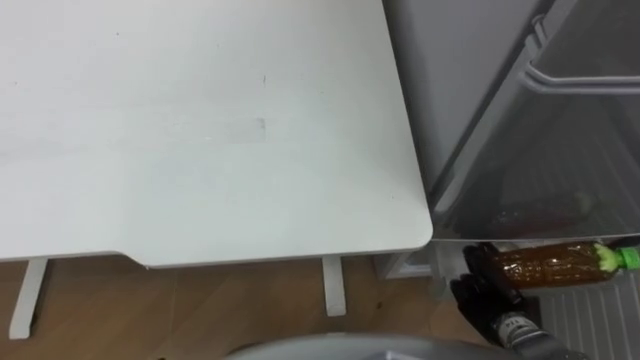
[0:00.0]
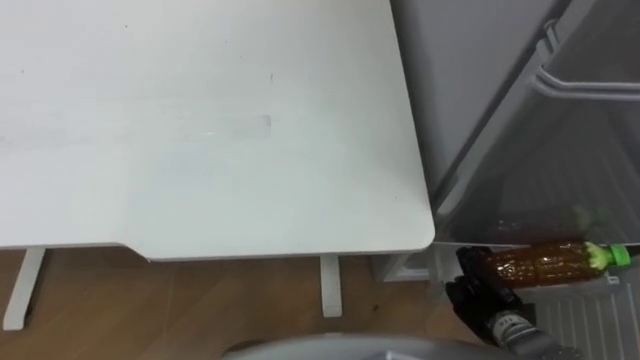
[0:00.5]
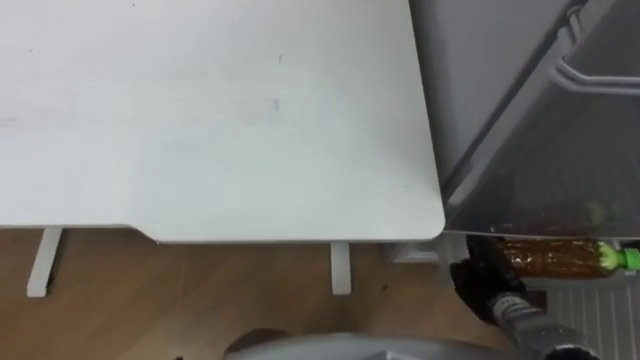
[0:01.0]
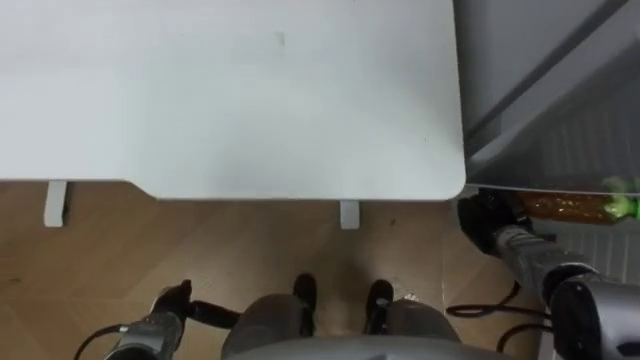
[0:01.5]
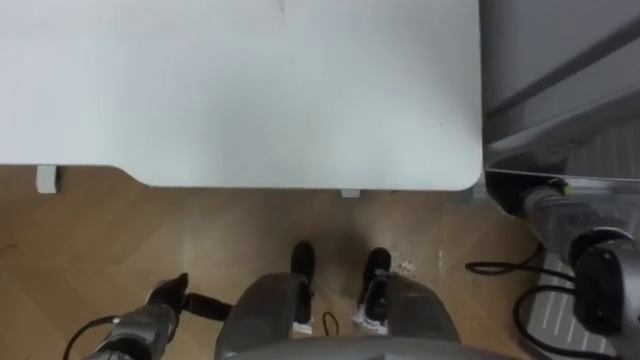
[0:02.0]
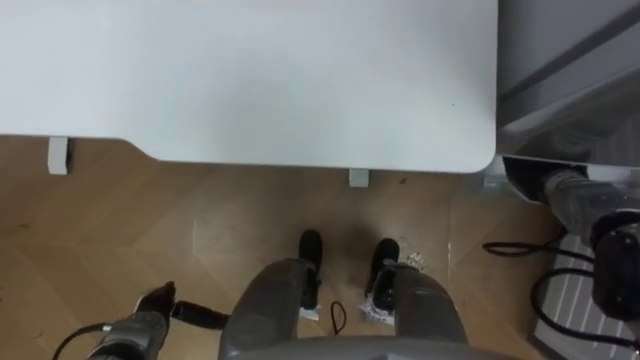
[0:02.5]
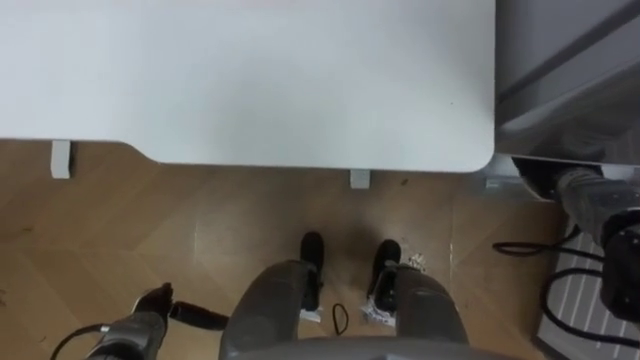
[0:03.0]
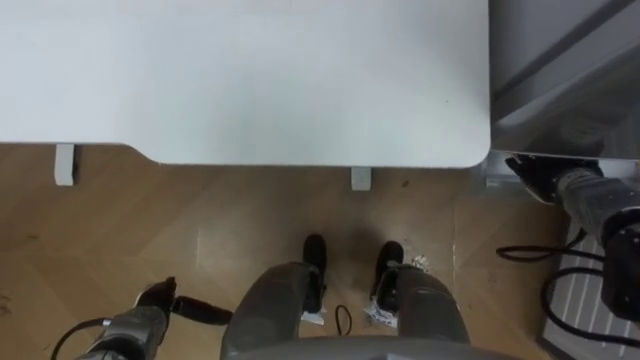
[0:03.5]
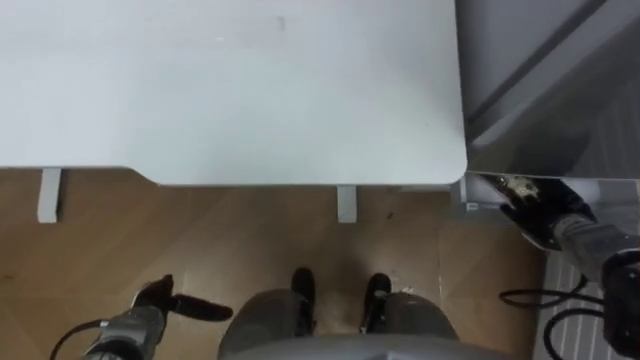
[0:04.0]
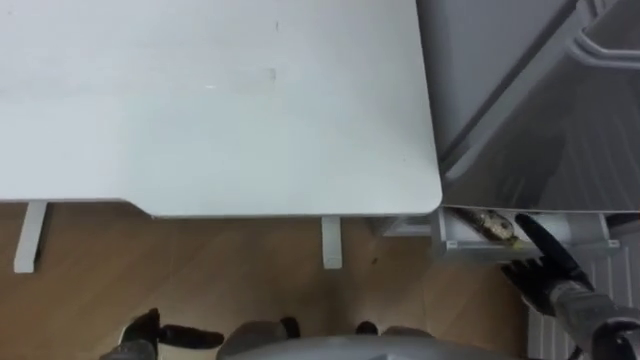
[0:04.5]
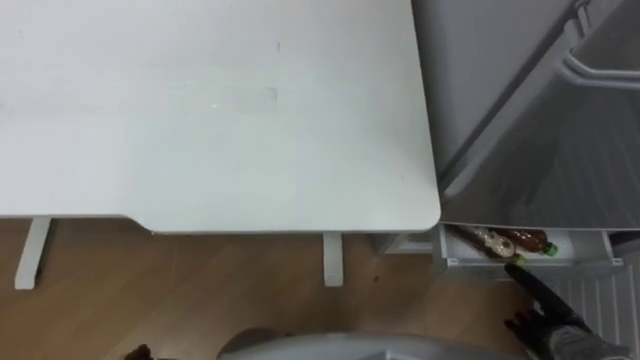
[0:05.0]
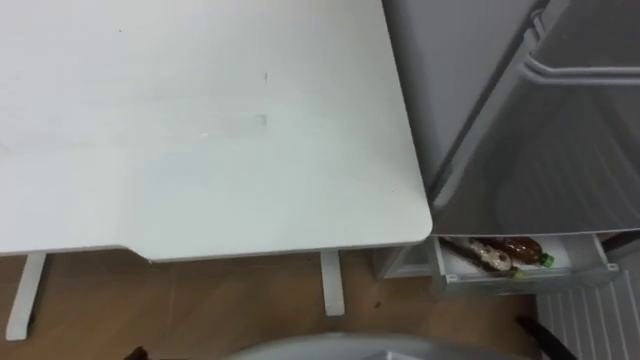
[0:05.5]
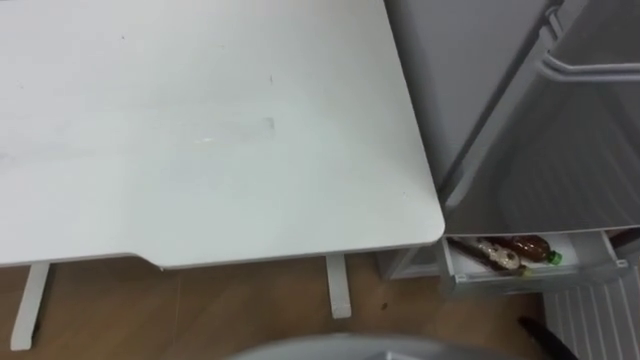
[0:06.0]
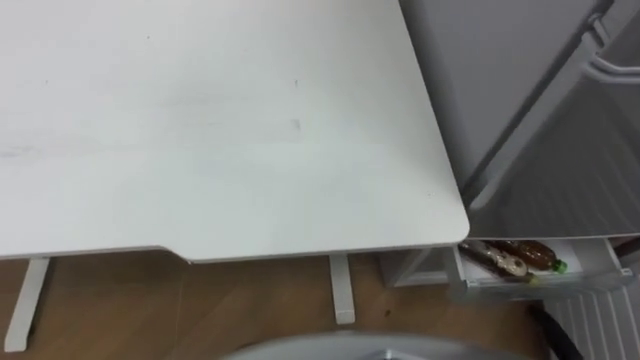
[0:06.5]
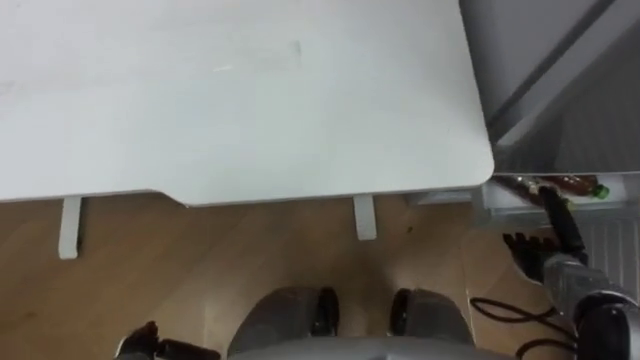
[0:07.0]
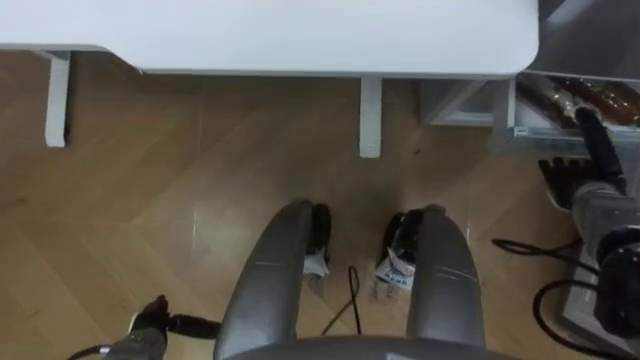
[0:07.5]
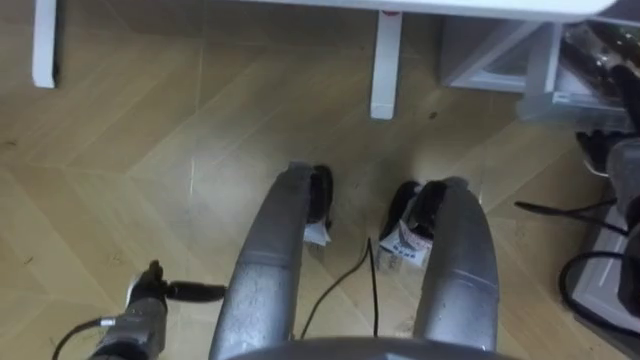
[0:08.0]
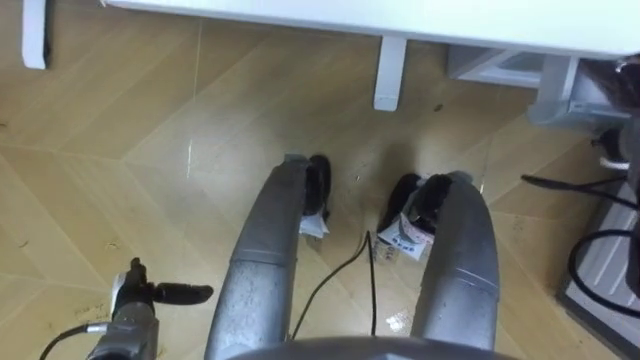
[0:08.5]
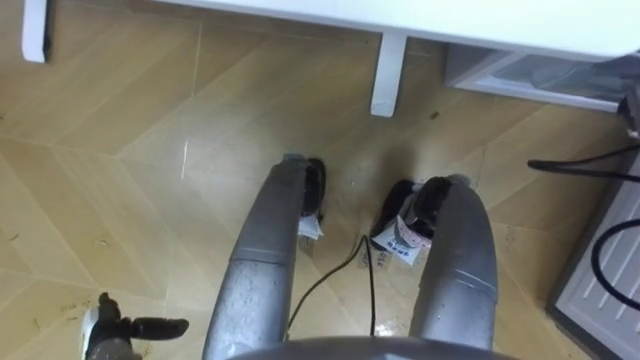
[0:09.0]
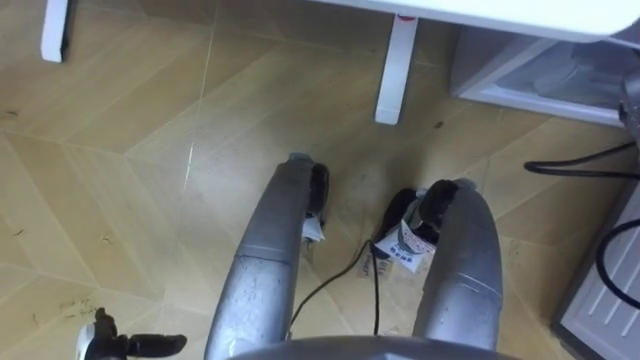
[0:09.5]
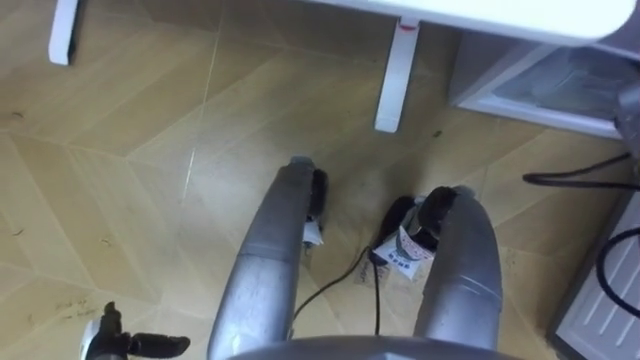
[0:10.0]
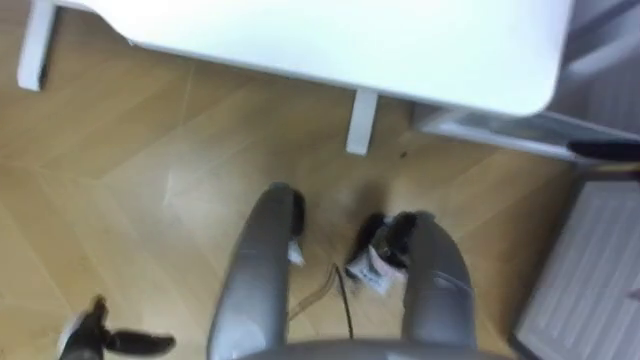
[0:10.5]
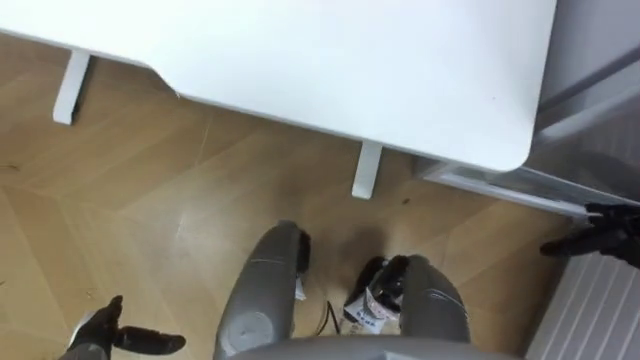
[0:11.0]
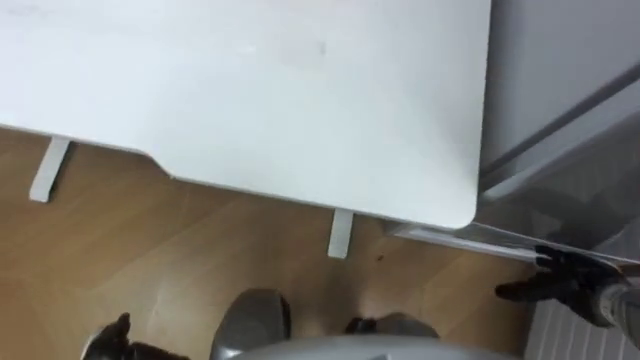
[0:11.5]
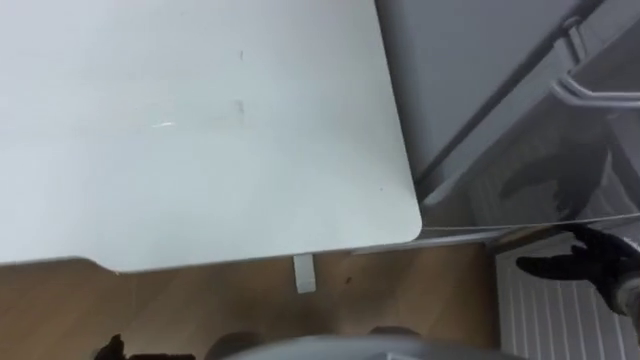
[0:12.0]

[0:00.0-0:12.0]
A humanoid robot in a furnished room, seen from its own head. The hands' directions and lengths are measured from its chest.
Task of the whole recording: Place the drink on the table on the bottom shelf of the refrigerator, then close the drawer and the refrigerator door.
0:00.0 to 0:02.0: The right hand shifts approximately 20 cm forward and upward.
0:02.0 to 0:04.0: The right hand opens up.

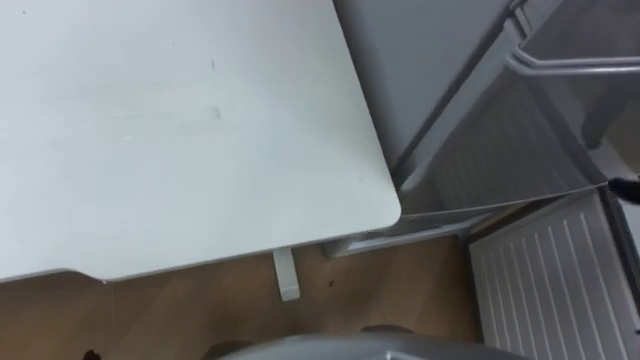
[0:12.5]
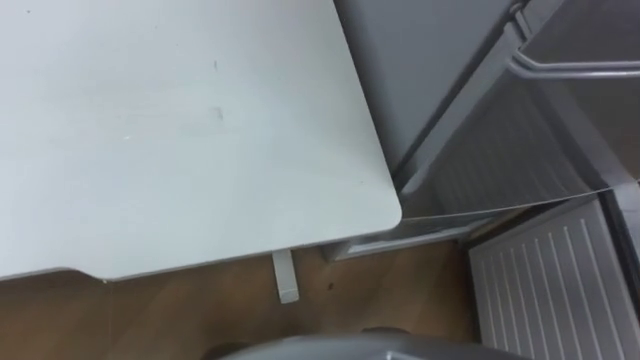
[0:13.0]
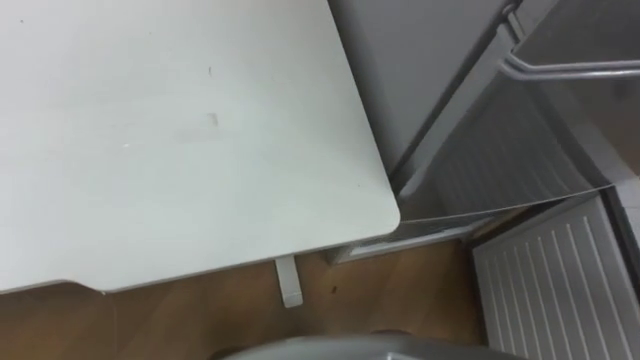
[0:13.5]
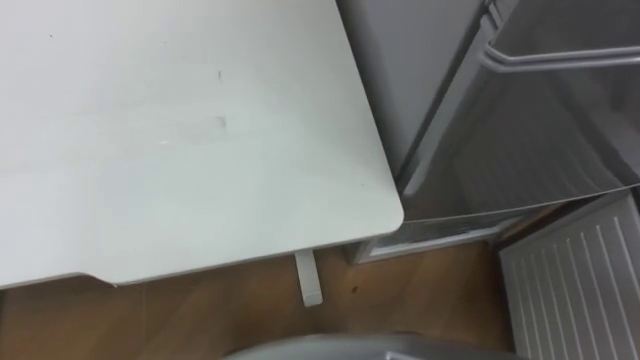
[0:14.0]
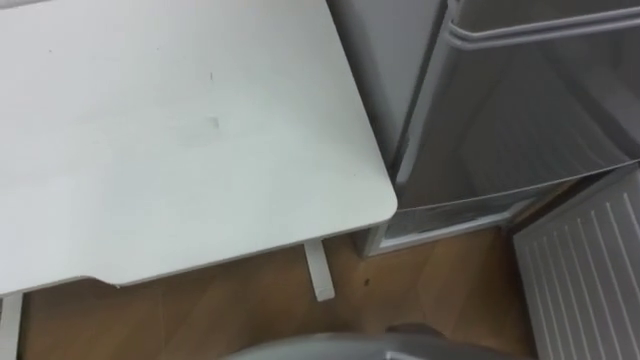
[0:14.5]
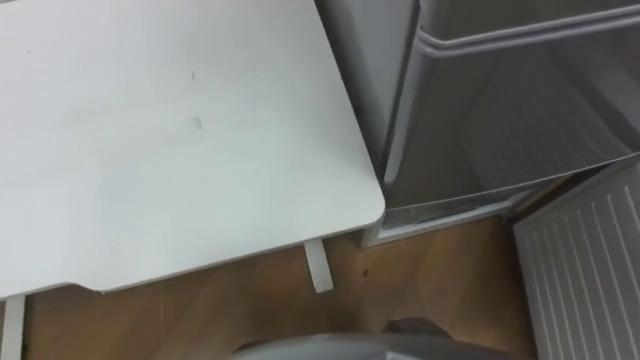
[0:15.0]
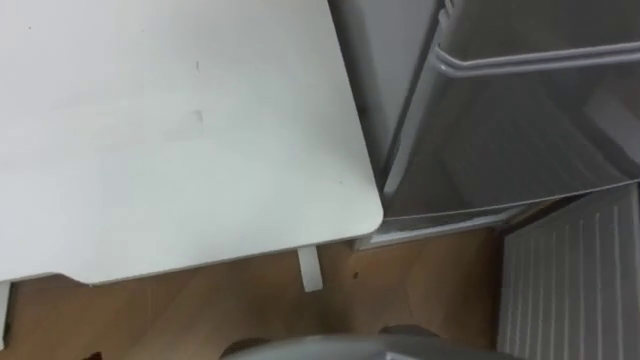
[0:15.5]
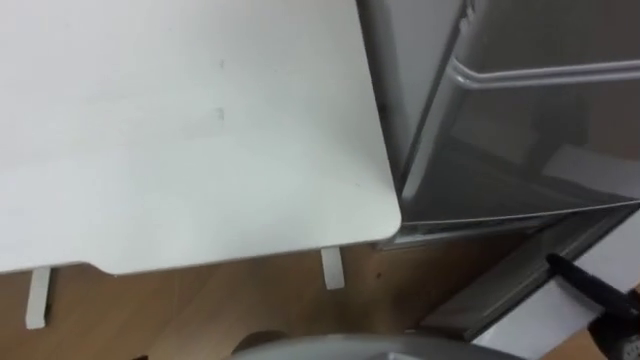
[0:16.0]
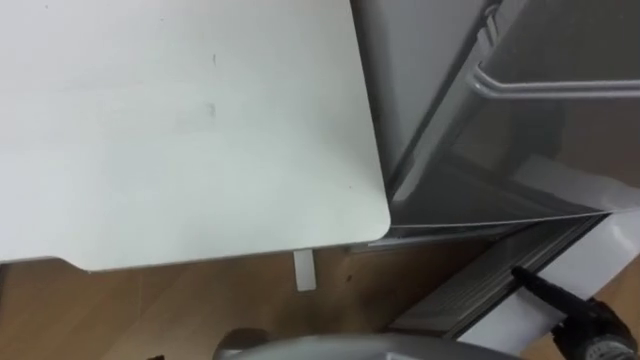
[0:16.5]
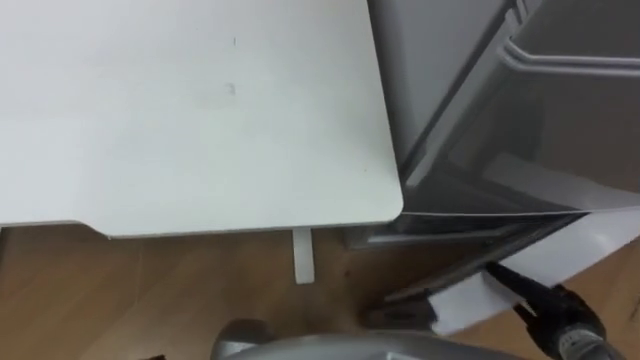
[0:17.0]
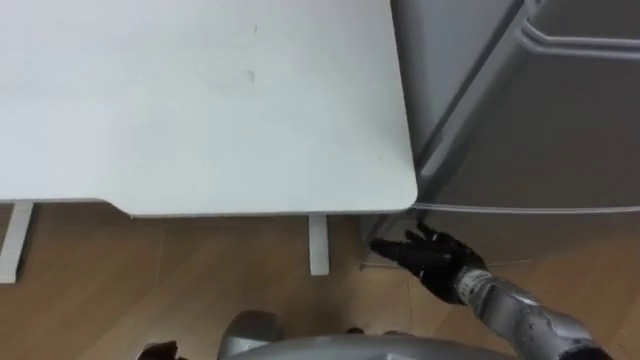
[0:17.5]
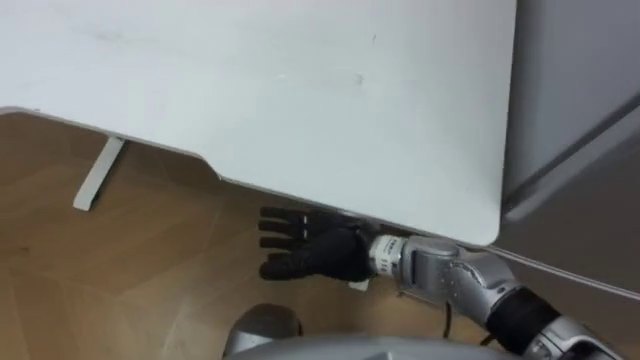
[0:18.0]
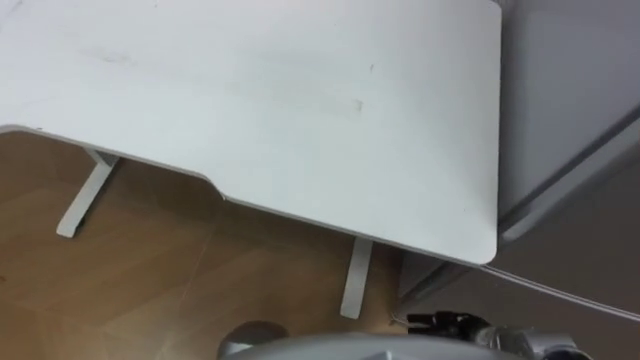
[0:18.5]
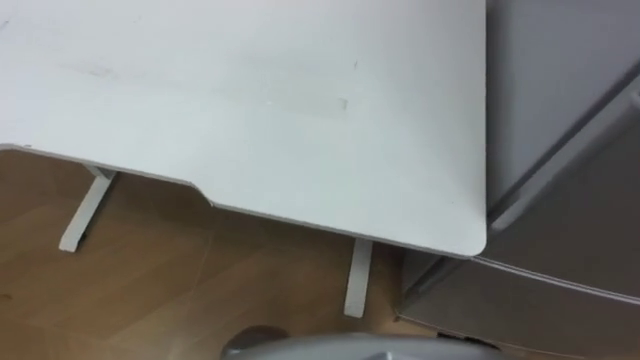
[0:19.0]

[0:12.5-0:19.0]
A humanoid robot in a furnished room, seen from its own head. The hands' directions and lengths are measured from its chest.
Task of the whole recording: Place the drink on the table on the bottom shelf of the refrigerator, then close the drawer and the refrigerator door.
0:17.0 to 0:19.0: The robot turns to its left by approximately 20 degrees.

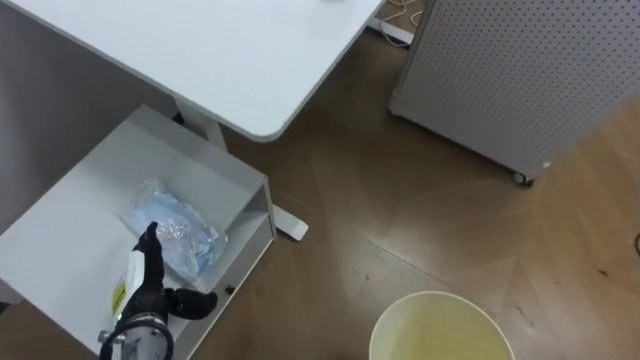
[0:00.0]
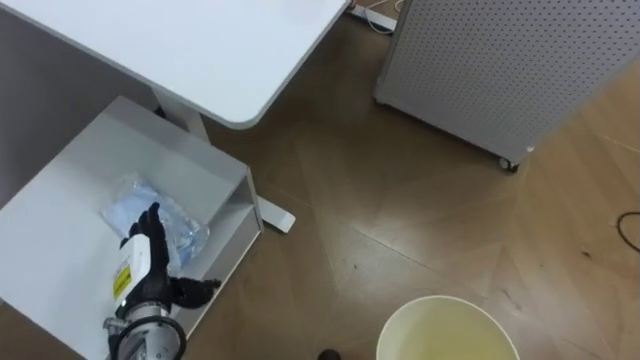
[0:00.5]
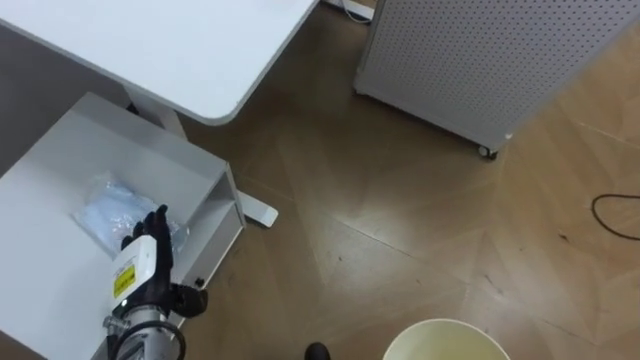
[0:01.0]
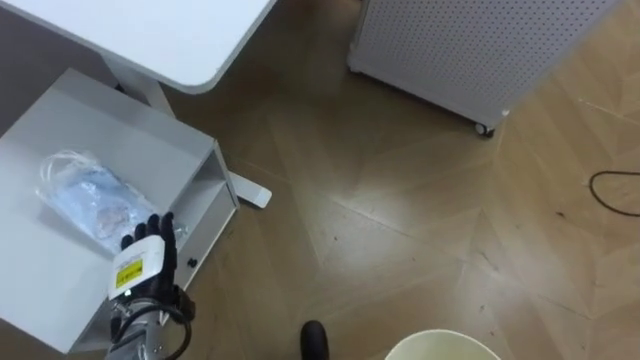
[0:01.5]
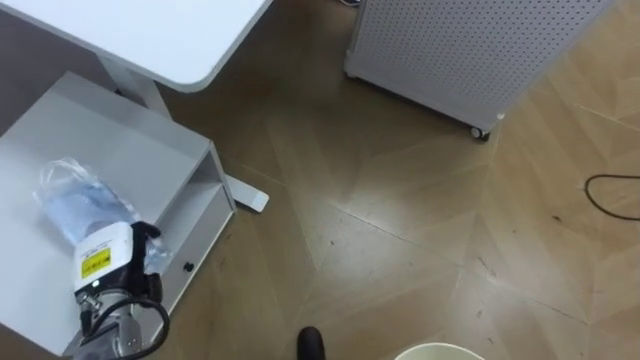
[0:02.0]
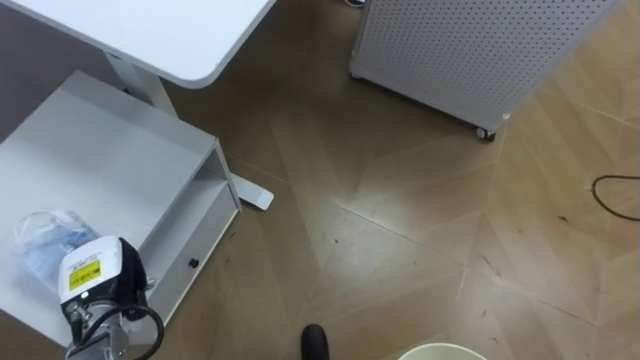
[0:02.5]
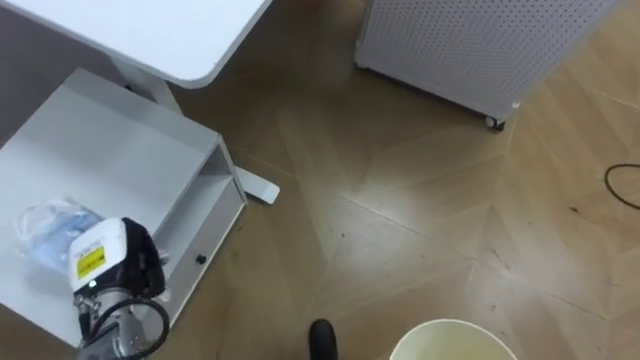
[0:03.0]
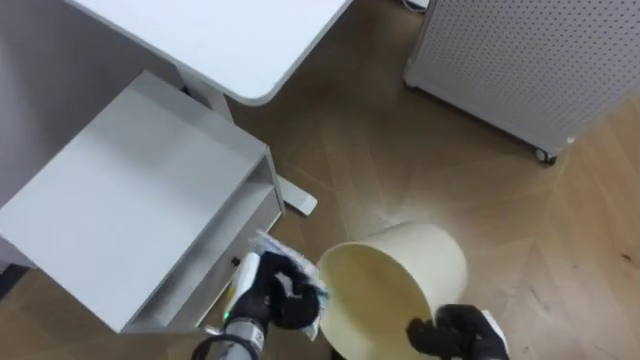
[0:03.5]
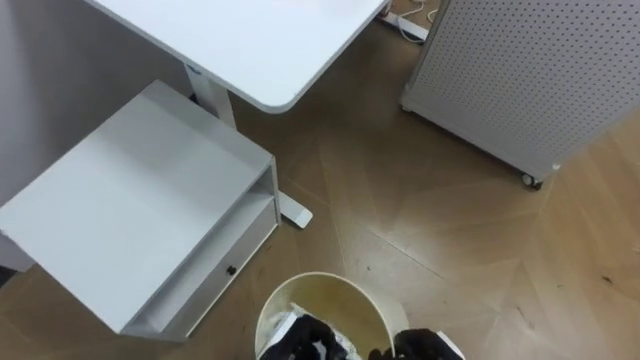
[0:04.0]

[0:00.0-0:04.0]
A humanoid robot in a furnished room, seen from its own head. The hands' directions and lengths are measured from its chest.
Task of the whole recording: Pick up the light blue package, the candy box, and the dark blue package separately, and put them into the trash can held in your right hand.
0:02.0 to 0:04.0: The left hand heads to the right, covering approximately 25 cm, and closes its fingers.
